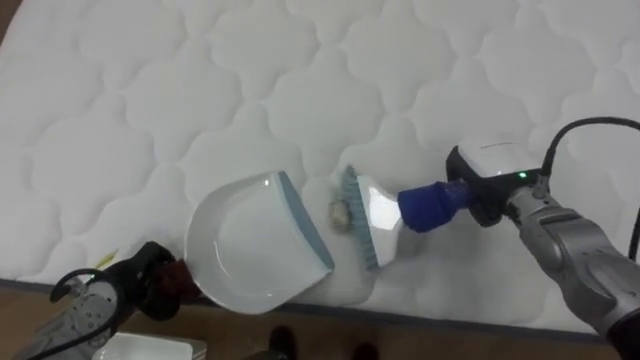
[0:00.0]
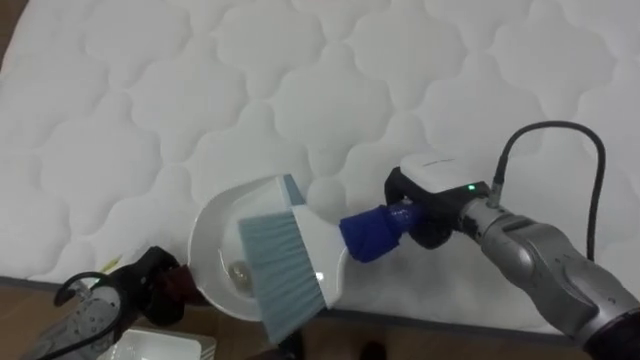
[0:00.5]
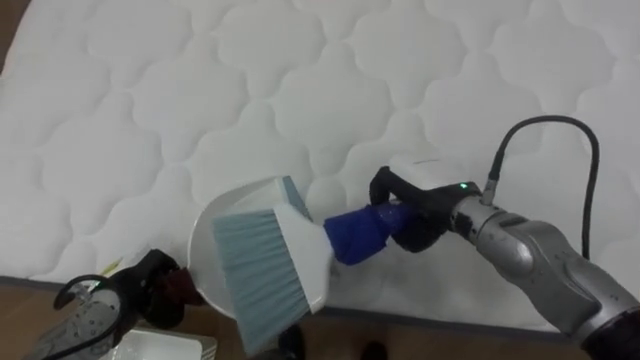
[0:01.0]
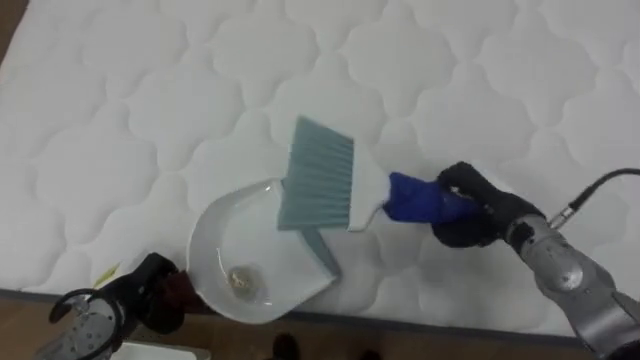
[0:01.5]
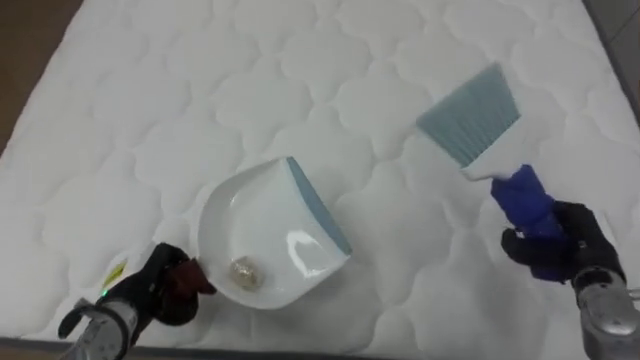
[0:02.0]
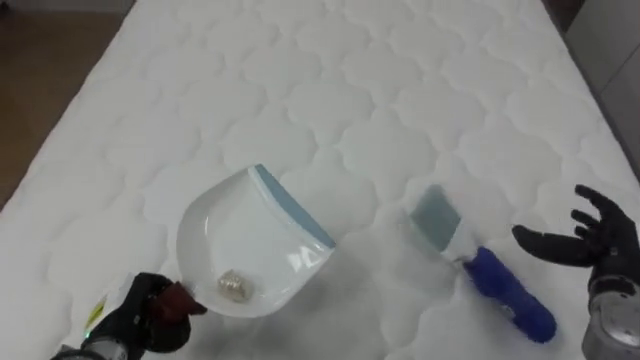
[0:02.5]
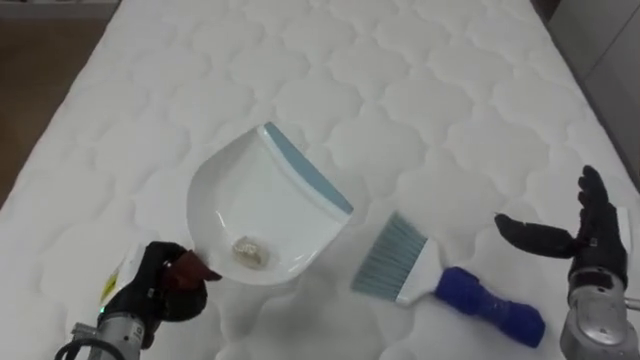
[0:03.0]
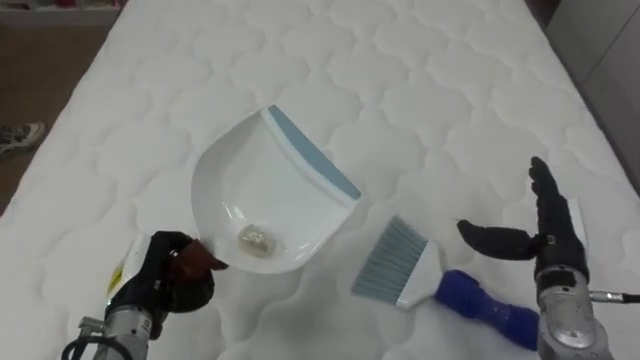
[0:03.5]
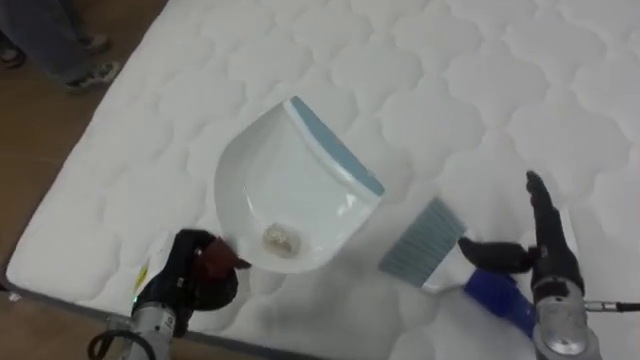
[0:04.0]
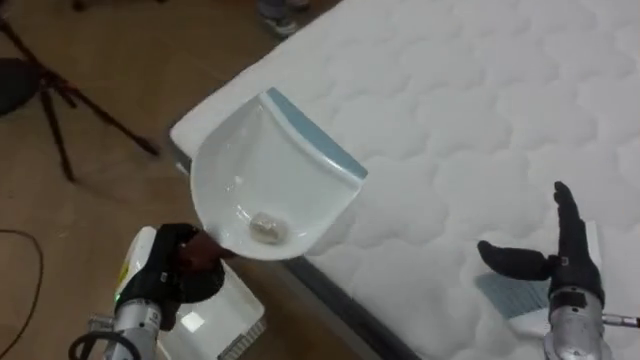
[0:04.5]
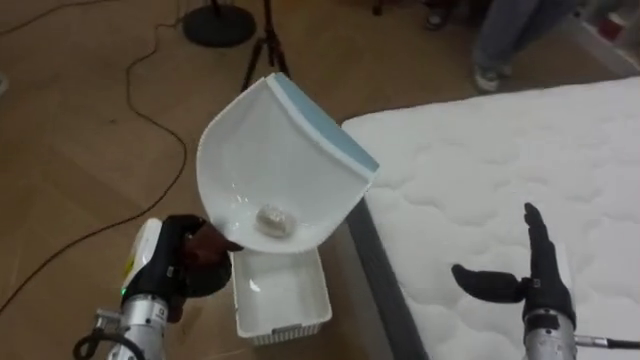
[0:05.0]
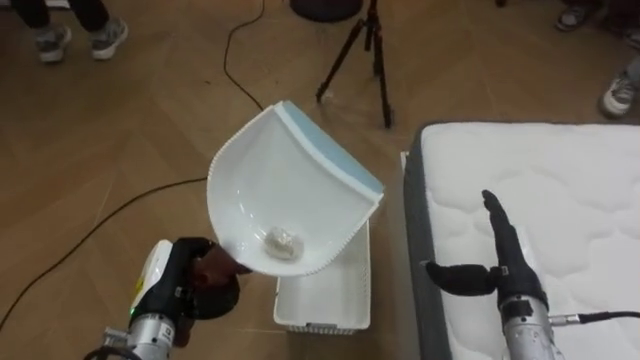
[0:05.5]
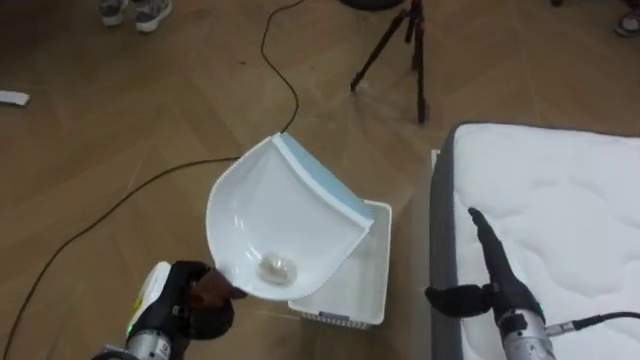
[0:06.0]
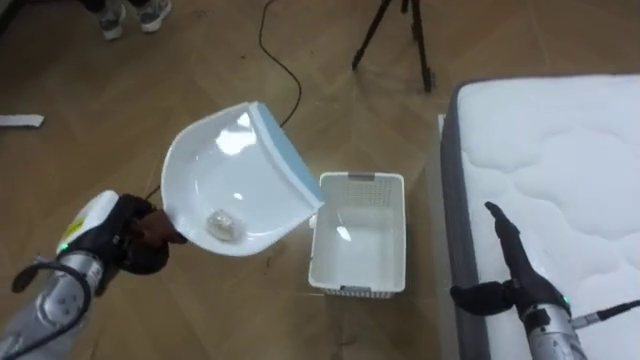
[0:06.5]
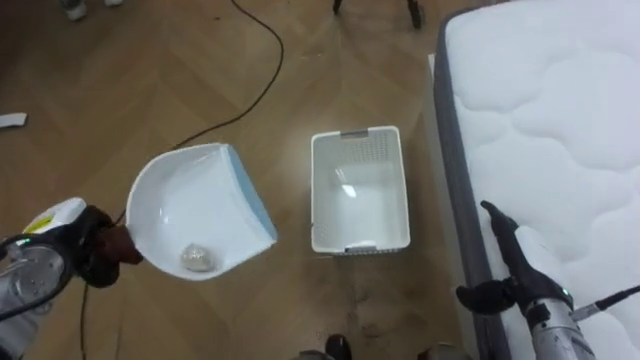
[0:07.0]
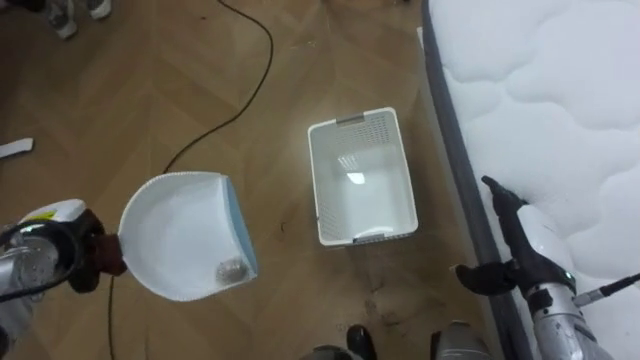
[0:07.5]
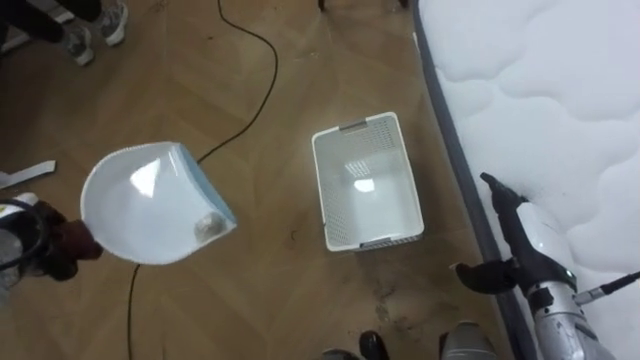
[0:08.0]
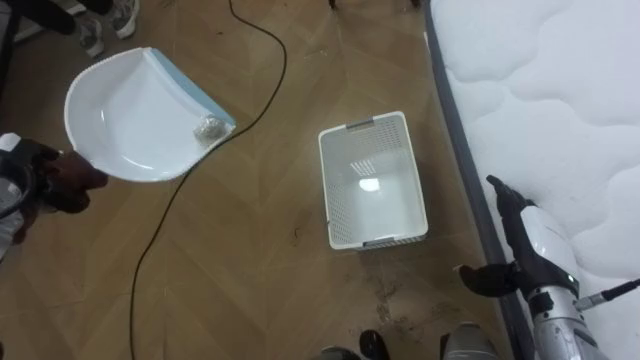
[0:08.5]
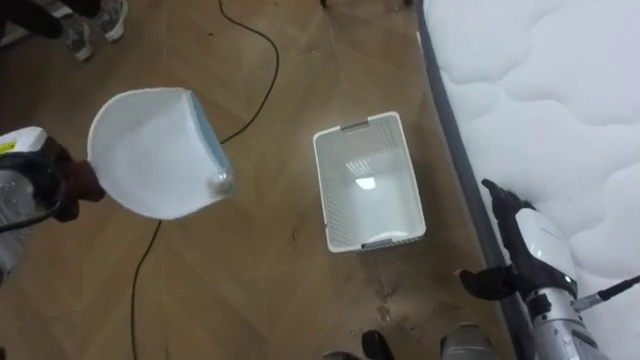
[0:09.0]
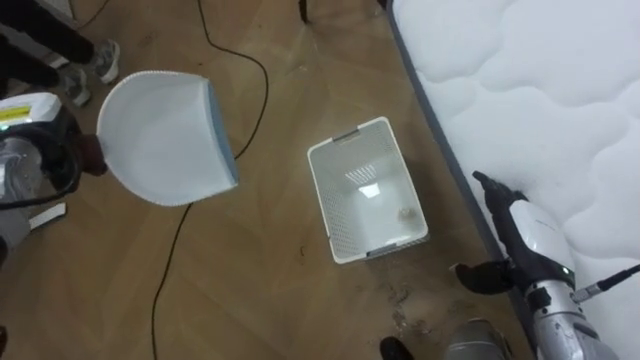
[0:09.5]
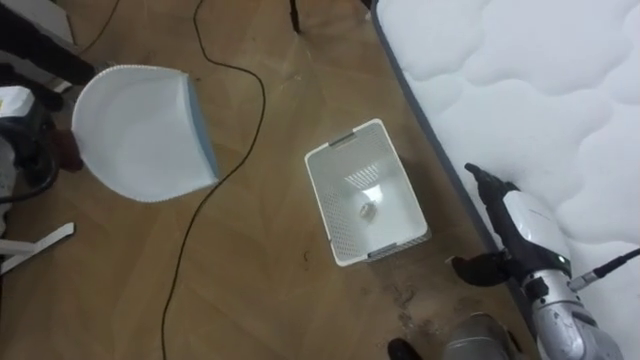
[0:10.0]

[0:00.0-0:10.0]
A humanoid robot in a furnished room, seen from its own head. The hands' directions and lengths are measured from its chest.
Task of the whole recording: Pick up the brush on your right and the dustpan on your left. Use the brush to sweep the crumpled paper on the bed into the dustpan, then turn left and empty it into the basket.
0:00.0 to 0:02.0: The right hand goes some 15 cm to the right, backward and downward.
0:02.0 to 0:04.0: The right hand opens, while the left hand ends up about 5 cm from where it was.
0:04.0 to 0:06.0: The robot faces roughly 85 degrees further to its left. The right hand is displaced to the left by some 5 cm.
0:06.0 to 0:08.0: The left hand is displaced to the left and forward by some 20 cm.

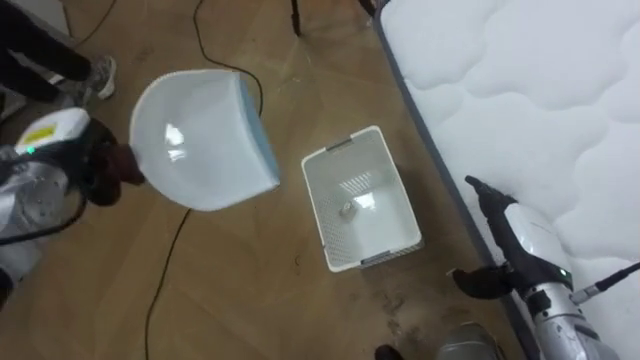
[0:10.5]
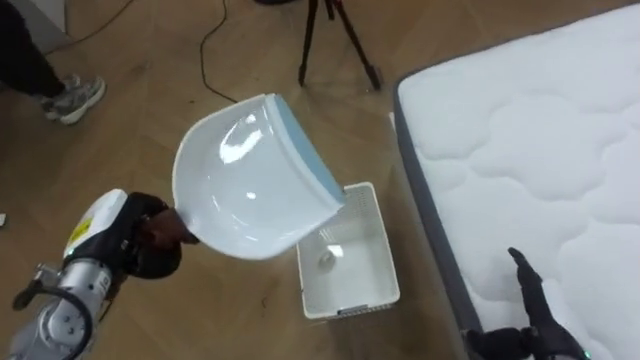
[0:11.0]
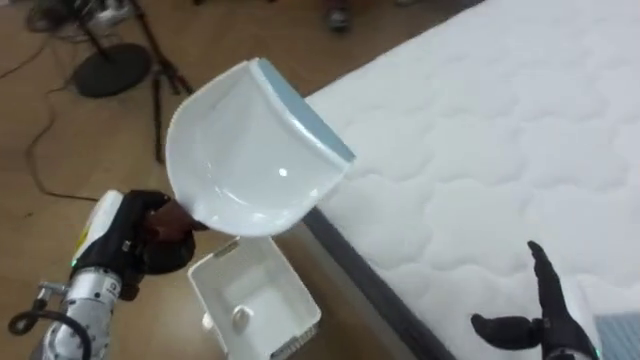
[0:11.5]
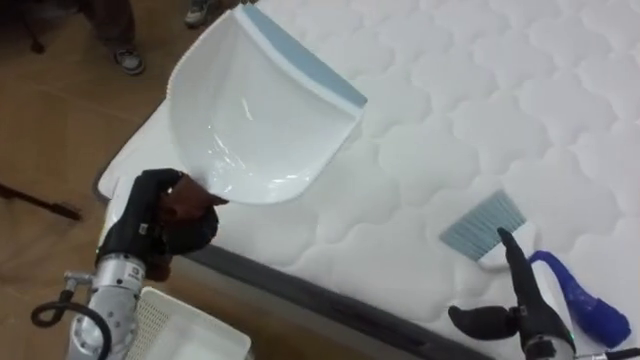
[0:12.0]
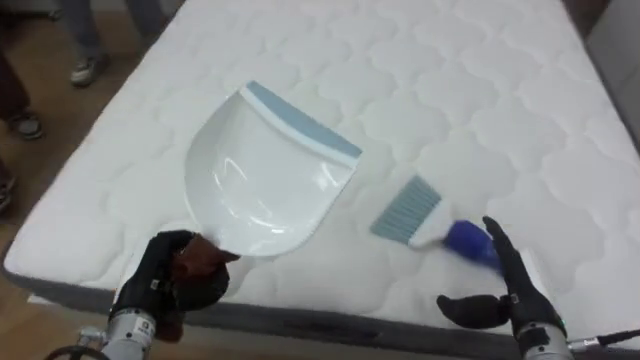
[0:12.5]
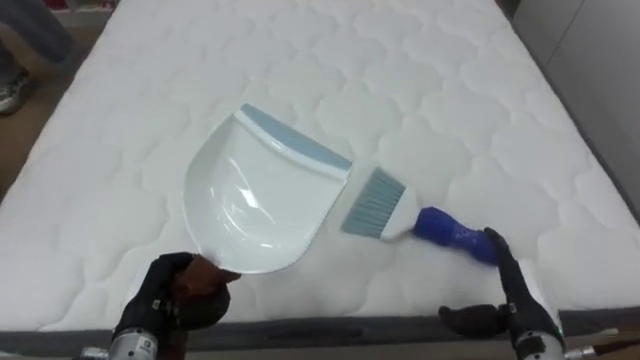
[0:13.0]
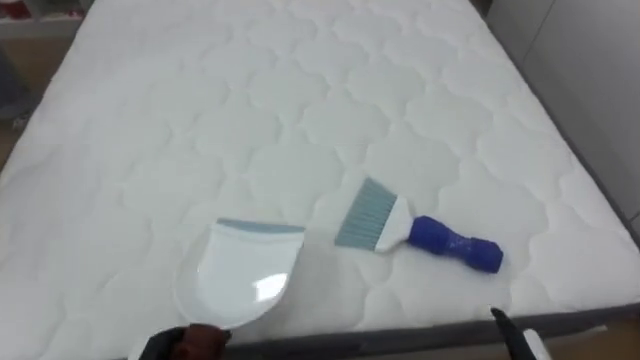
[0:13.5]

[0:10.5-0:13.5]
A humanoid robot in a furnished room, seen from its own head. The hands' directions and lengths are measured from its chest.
Task of the whole recording: Pick up the brush on your right and the dustpan on your left. Use the brush to sweep the crumpled paper on the bed into the dustpan, then turn left and empty it into the basket.
0:10.5 to 0:12.0: The robot turns to its right by about 70 degrees. The left hand is displaced to the right and backward by approximately 15 cm; the right hand goes some 5 cm backward.
0:12.0 to 0:13.5: The robot turns to its right by approximately 30 degrees.

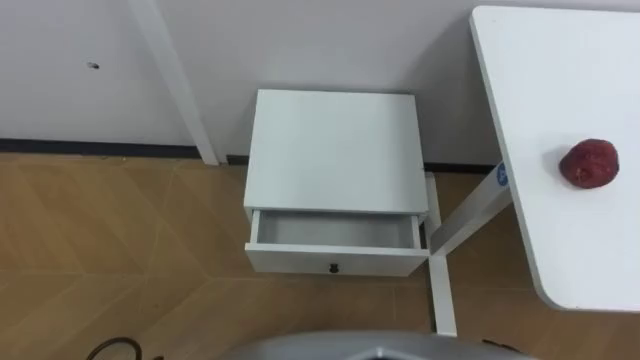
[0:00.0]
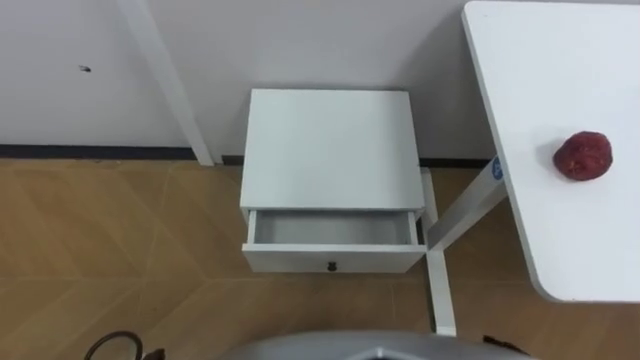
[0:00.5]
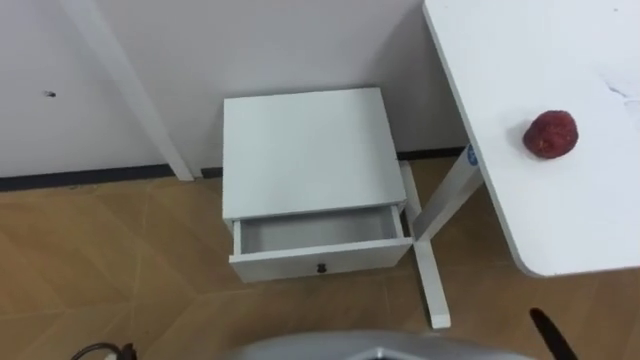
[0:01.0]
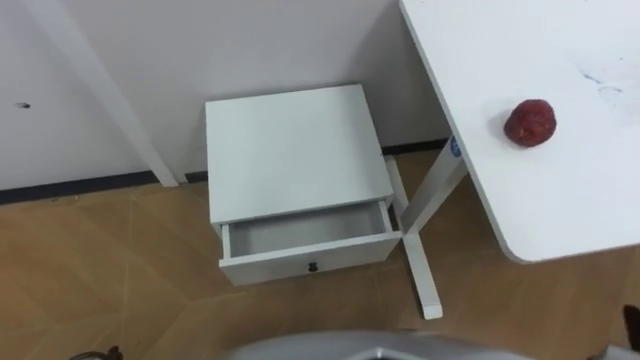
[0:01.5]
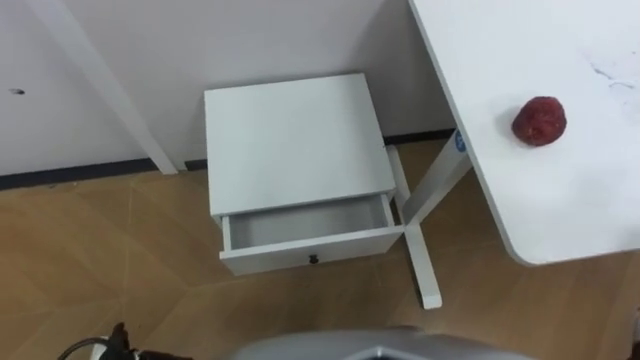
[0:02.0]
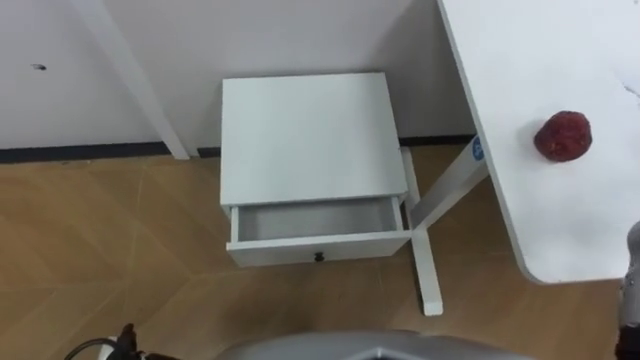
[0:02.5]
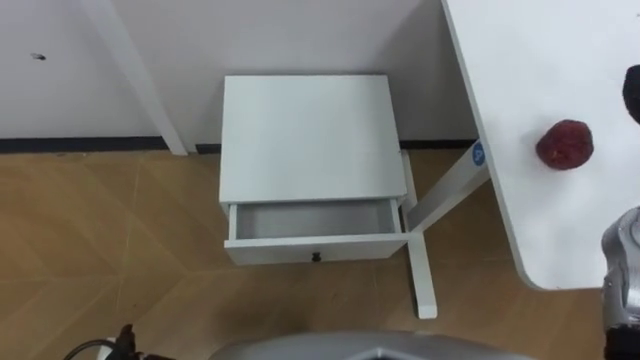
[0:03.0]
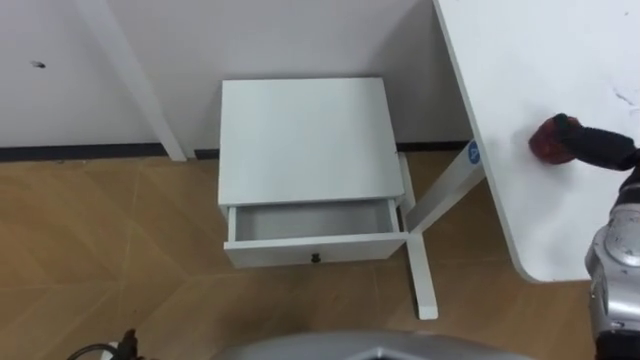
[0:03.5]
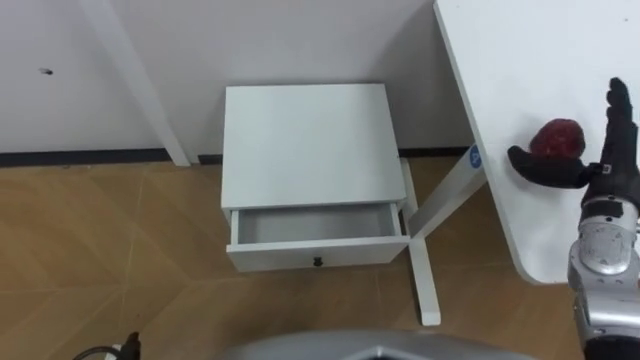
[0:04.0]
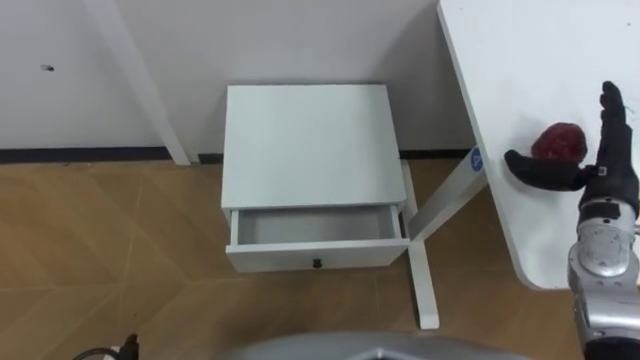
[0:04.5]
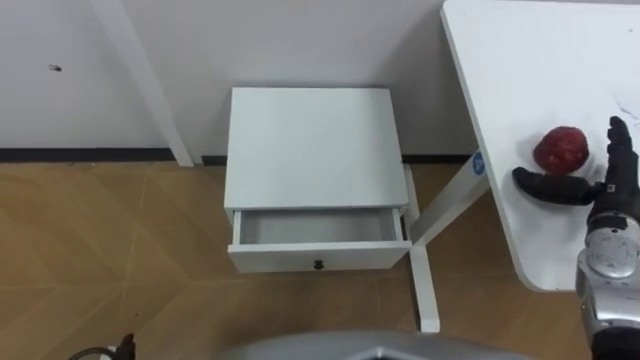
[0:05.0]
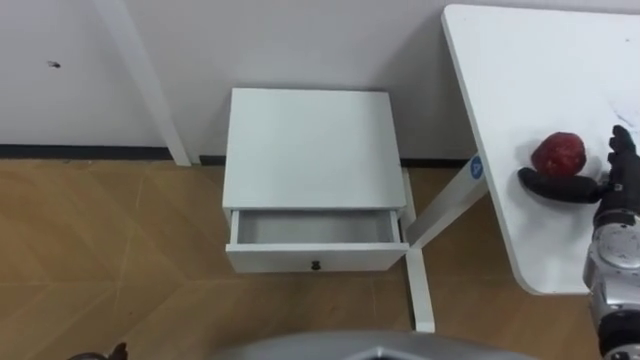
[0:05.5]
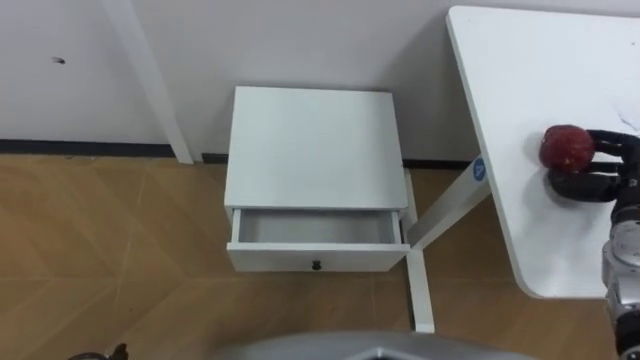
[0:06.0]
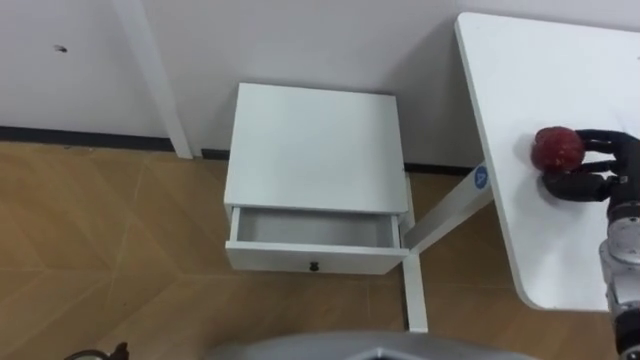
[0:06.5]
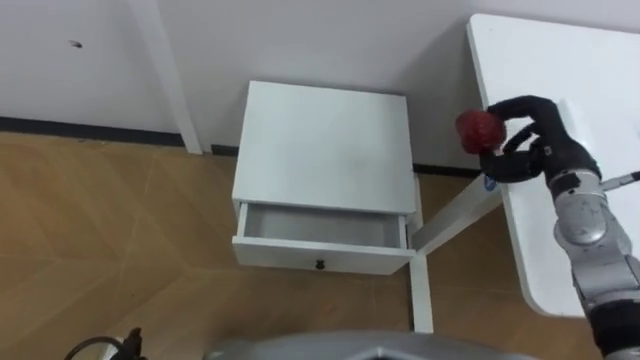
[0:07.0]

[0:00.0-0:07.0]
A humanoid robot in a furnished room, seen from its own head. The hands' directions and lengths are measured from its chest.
Task of the whole recording: Pick up the apple from the table, put it in the drawer, and close the drawer with leg.
0:05.0 to 0:07.0: The right hand moves to the left and forward, some 10 cm, and closes its fingers.
